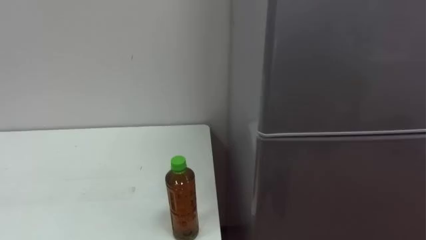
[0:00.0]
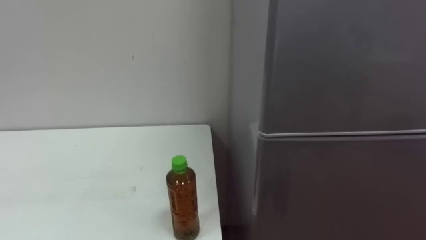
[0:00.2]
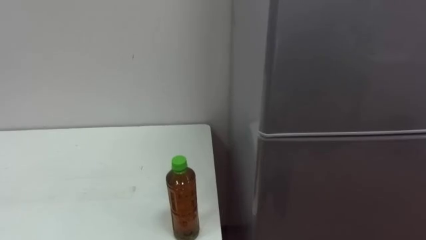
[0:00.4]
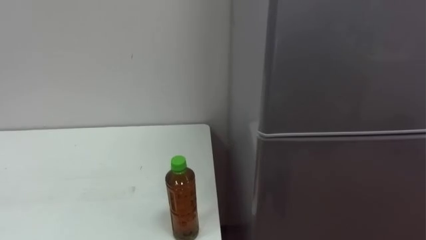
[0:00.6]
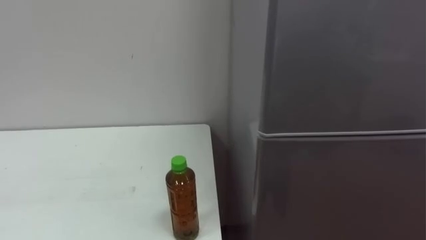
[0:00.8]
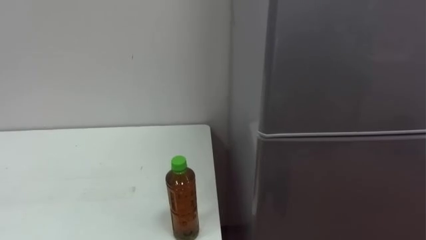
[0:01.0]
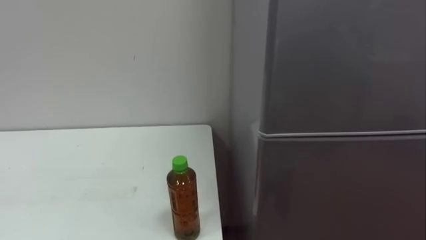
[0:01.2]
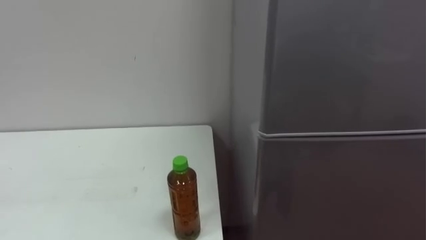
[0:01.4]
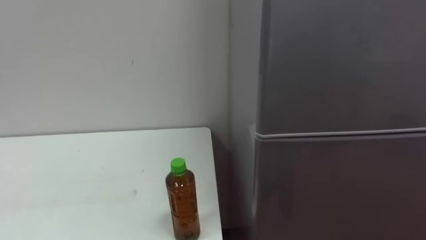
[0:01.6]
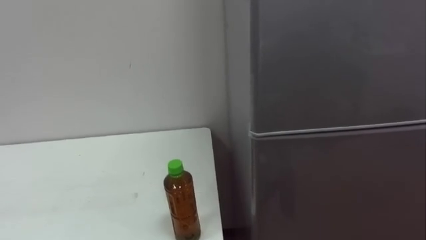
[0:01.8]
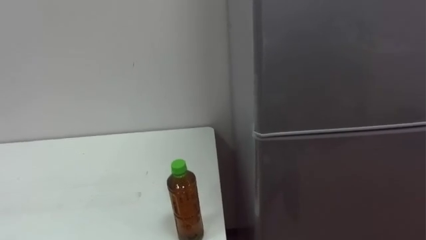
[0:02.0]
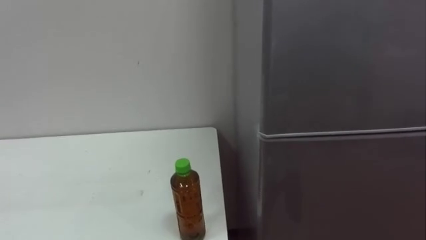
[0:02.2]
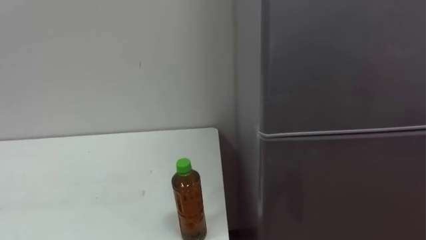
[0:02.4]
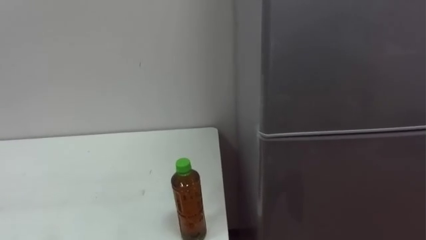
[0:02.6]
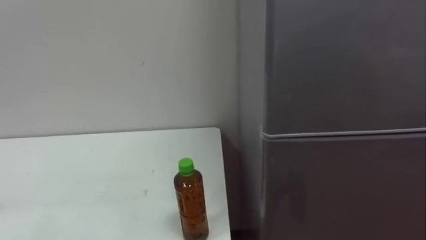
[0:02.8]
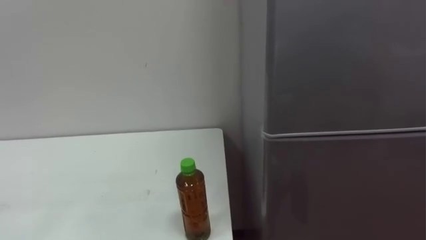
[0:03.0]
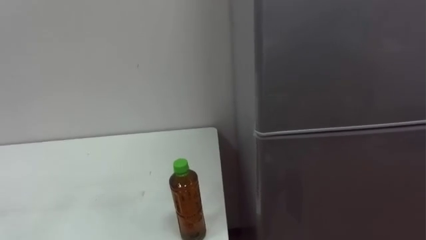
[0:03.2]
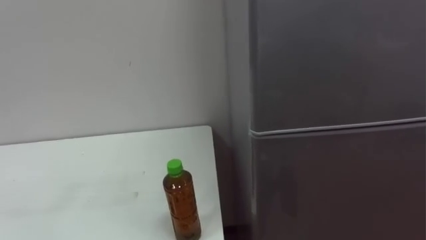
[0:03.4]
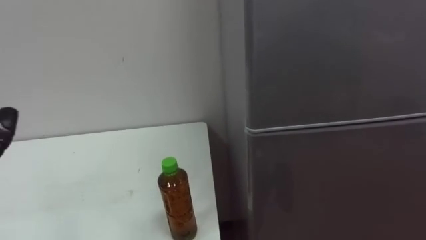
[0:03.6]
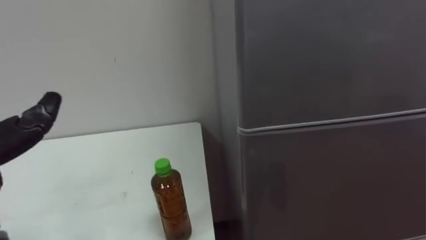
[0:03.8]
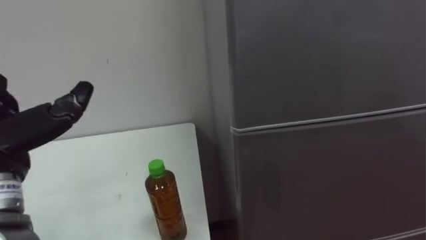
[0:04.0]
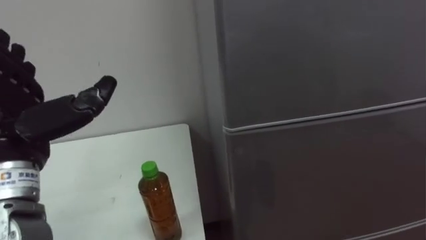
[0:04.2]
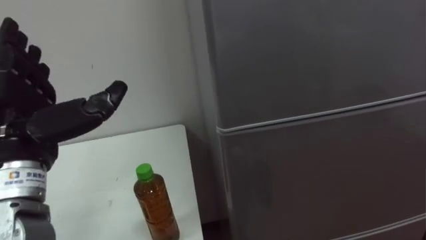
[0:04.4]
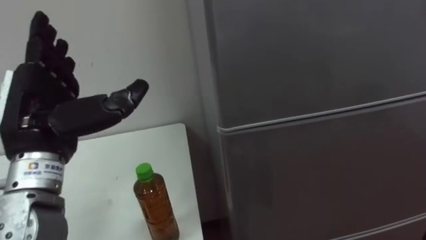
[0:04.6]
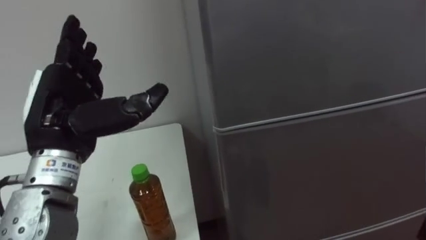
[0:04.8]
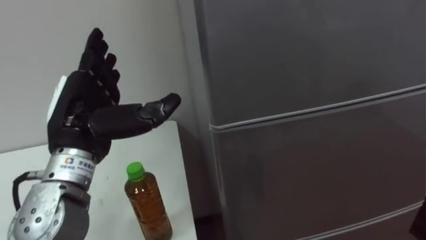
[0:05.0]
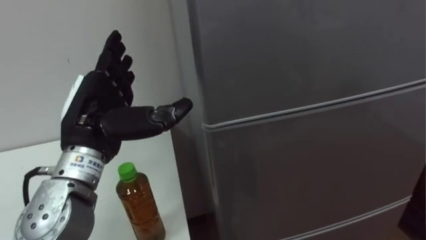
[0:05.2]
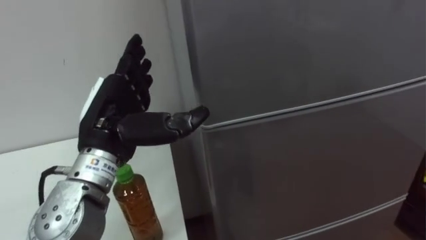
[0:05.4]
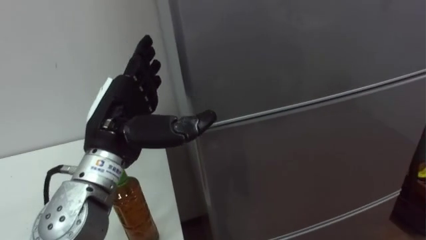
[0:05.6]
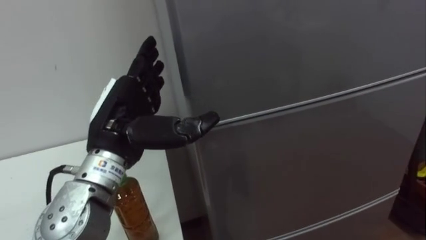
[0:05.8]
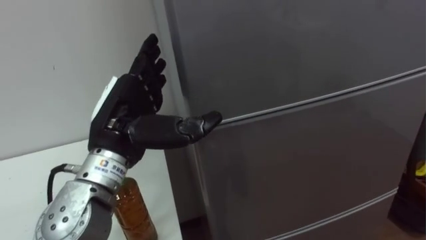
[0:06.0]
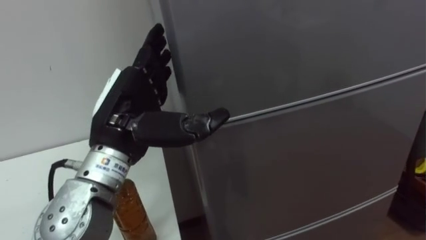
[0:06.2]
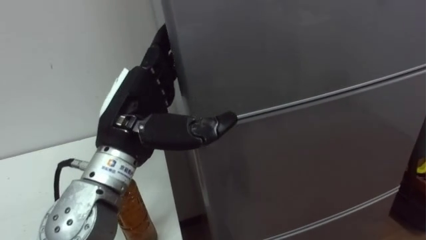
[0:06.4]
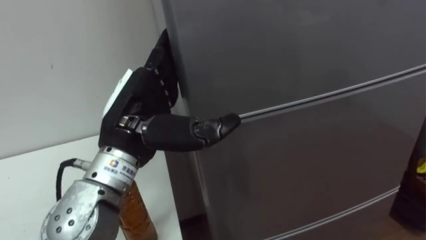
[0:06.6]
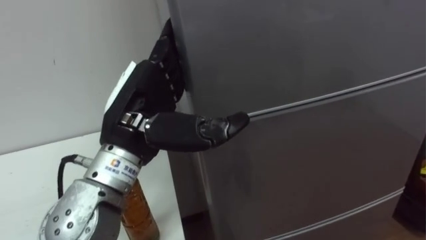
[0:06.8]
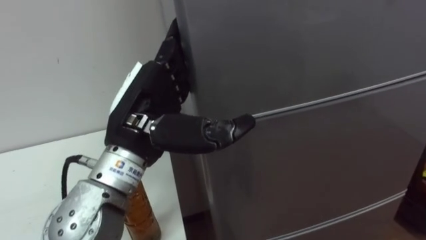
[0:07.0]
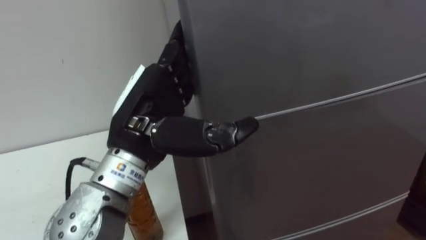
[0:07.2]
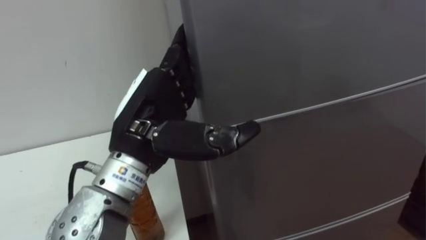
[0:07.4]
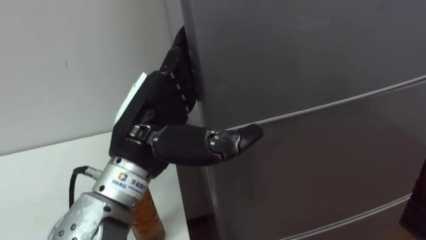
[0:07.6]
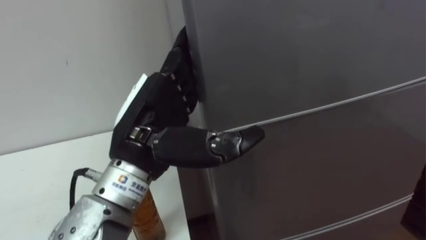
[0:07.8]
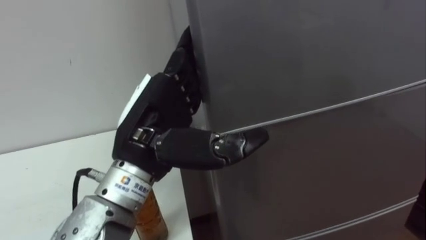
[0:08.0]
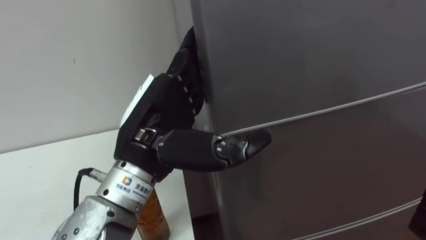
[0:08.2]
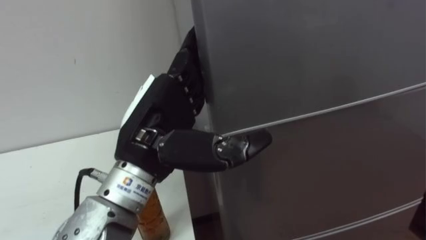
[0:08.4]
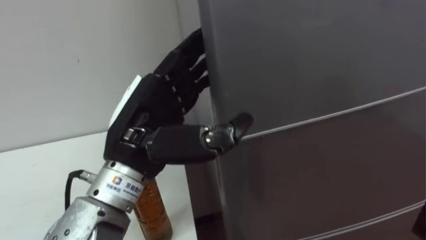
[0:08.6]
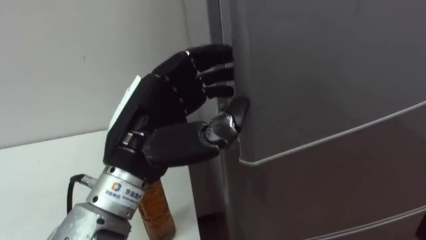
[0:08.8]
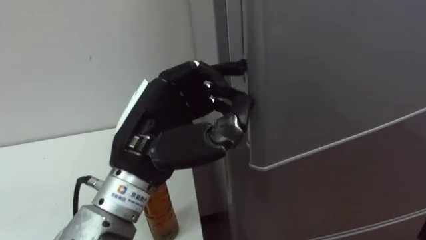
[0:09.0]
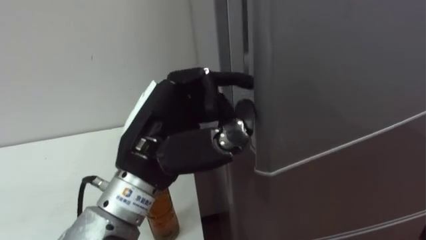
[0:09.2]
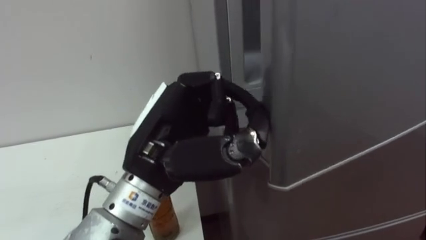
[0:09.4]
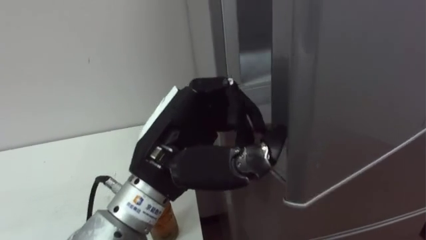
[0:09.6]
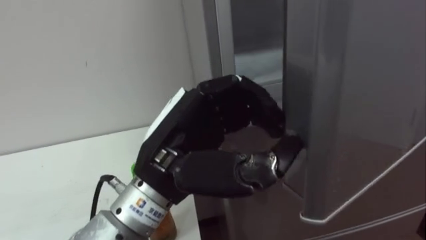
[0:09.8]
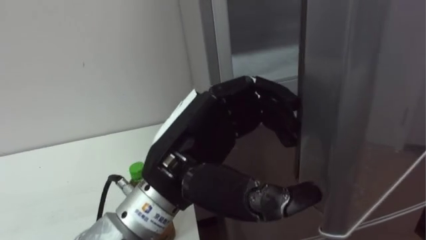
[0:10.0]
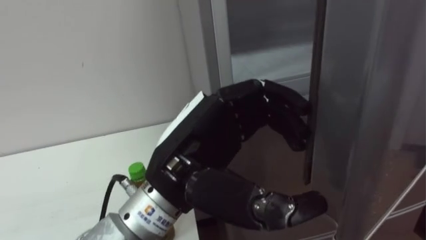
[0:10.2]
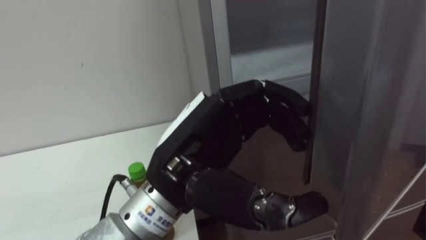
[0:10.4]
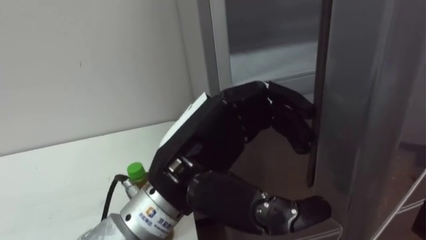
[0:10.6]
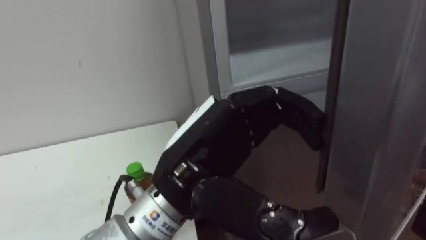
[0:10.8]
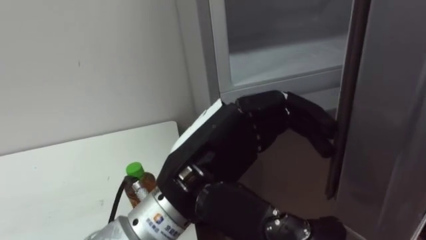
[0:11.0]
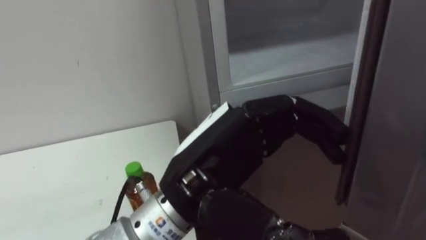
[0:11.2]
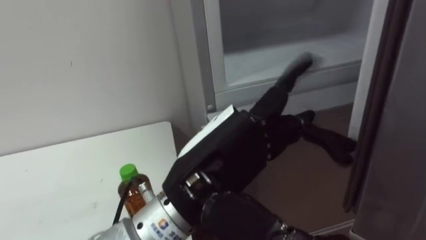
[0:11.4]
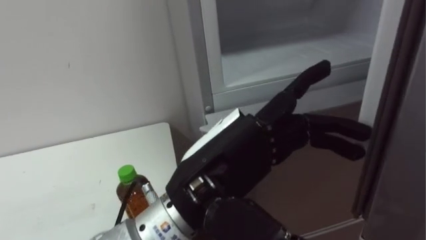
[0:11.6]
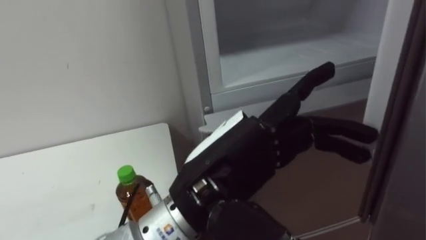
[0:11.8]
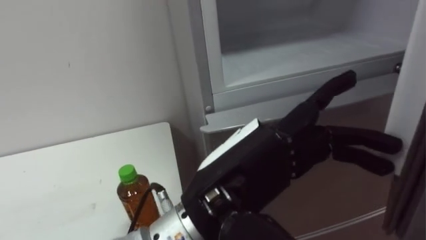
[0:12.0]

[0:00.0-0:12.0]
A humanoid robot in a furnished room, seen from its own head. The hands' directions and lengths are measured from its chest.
Task of the whole recording: Open the upper refrigerator door, put the drink from the table into the refrigerator, and then close the refrigerator door.
0:04.4 to 0:06.0: The left hand goes some 10 cm to the right.
0:06.0 to 0:07.6: The left hand changes place by roughly 5 cm.
0:07.6 to 0:09.0: The left hand closes up.
0:09.0 to 0:10.4: The left hand moves about 5 cm, and opens up.
0:10.4 to 0:12.0: The left hand moves about 5 cm.

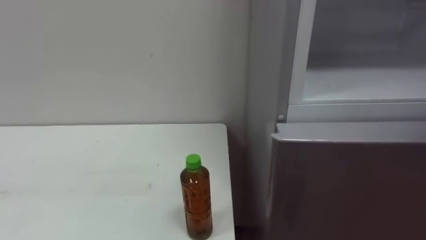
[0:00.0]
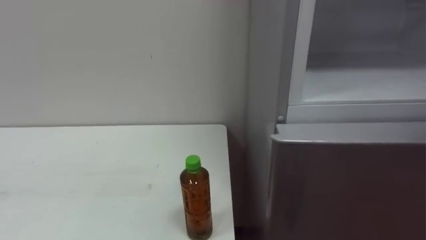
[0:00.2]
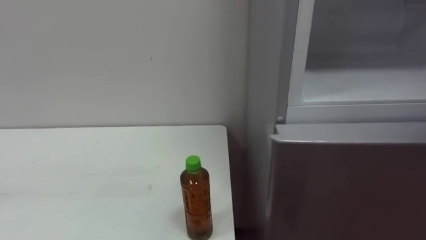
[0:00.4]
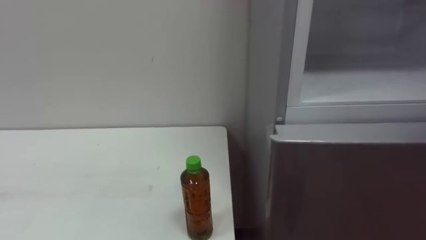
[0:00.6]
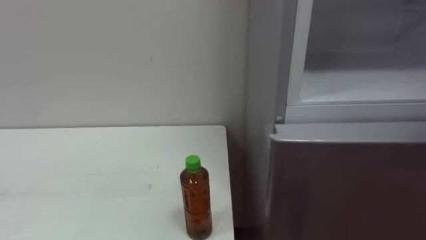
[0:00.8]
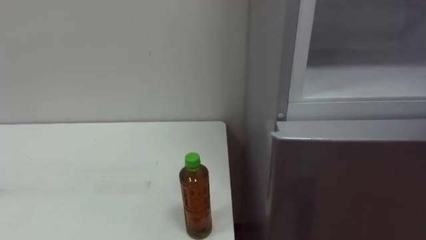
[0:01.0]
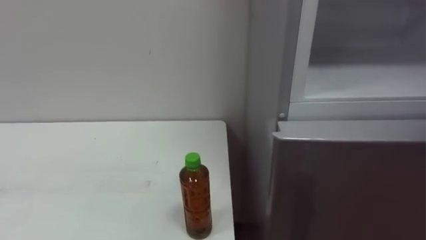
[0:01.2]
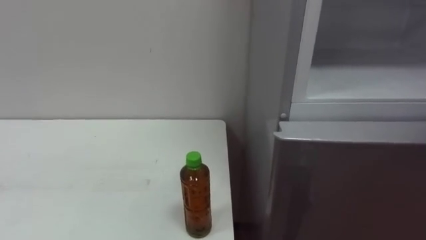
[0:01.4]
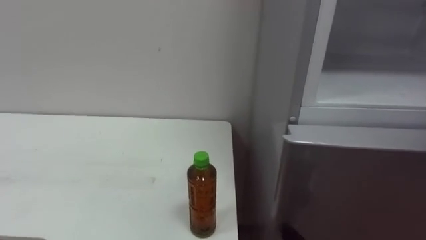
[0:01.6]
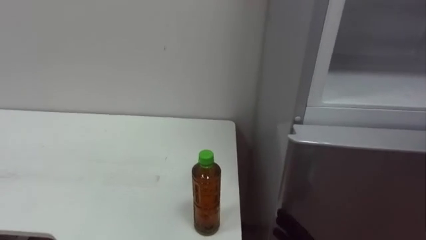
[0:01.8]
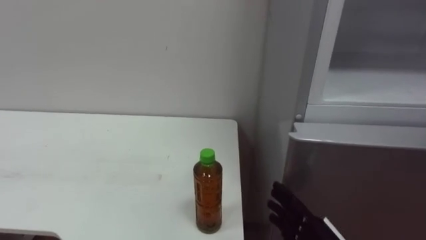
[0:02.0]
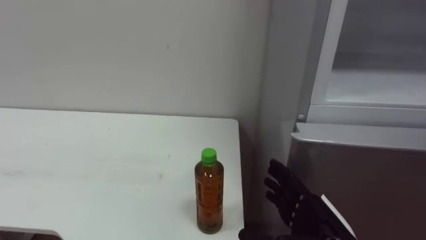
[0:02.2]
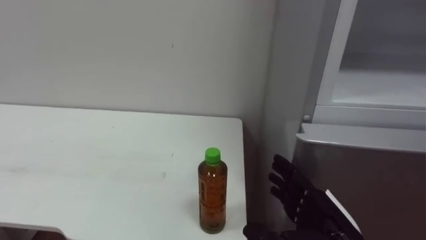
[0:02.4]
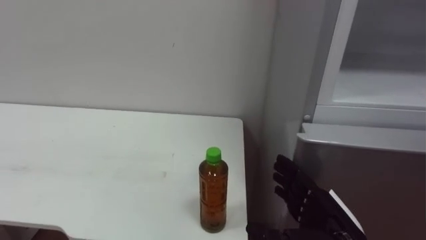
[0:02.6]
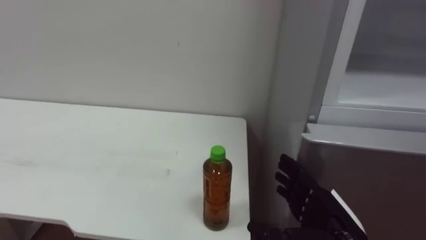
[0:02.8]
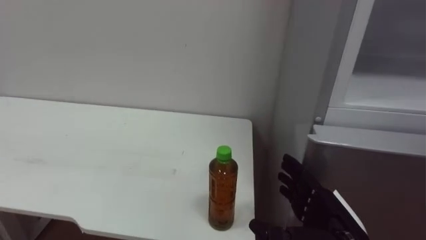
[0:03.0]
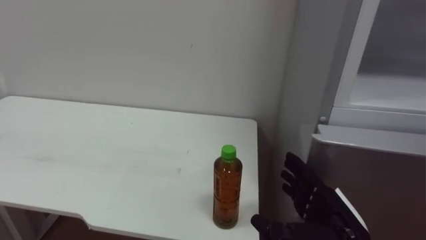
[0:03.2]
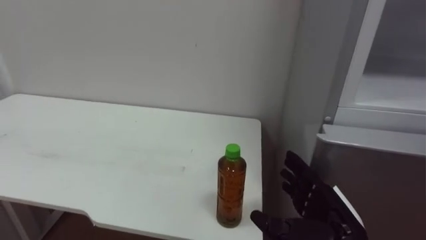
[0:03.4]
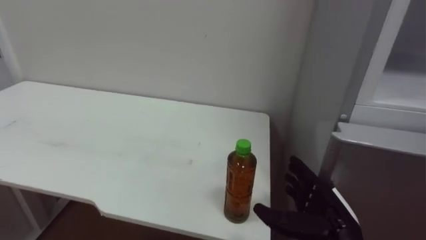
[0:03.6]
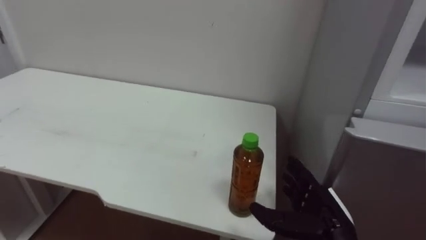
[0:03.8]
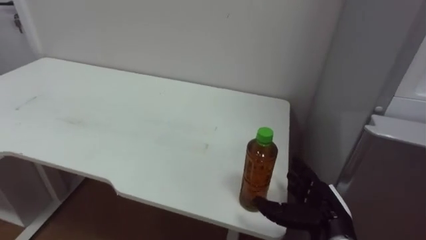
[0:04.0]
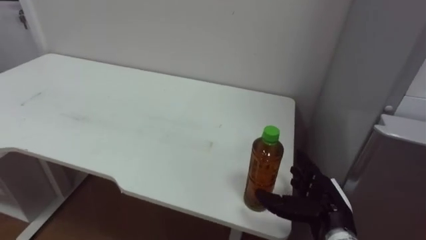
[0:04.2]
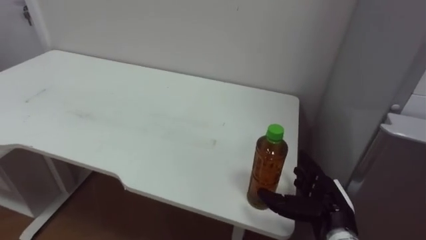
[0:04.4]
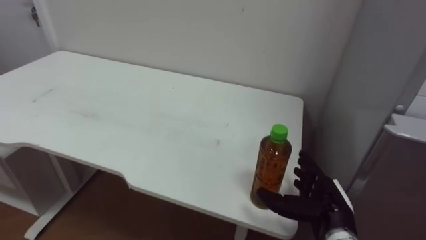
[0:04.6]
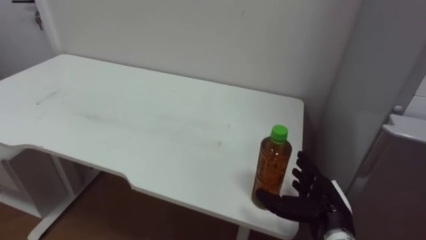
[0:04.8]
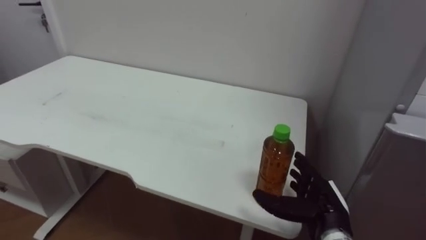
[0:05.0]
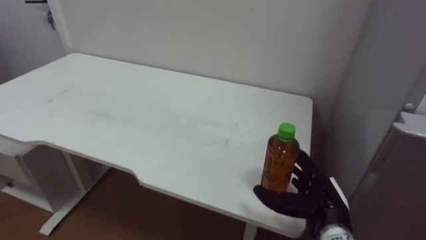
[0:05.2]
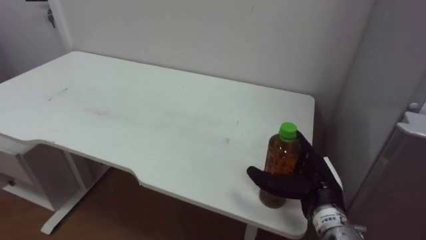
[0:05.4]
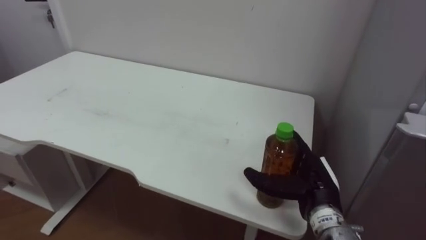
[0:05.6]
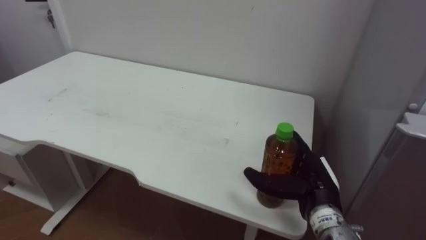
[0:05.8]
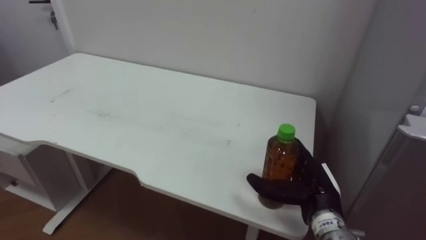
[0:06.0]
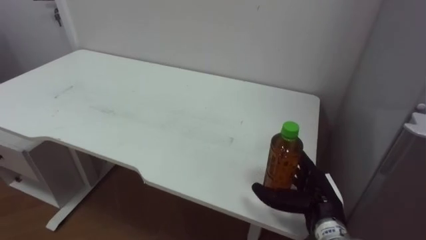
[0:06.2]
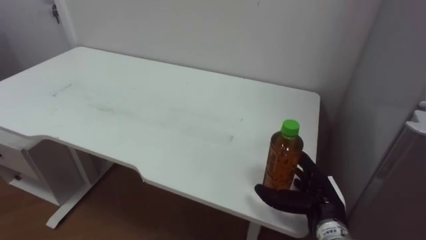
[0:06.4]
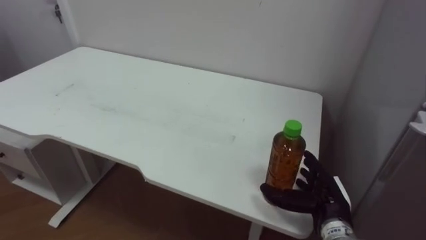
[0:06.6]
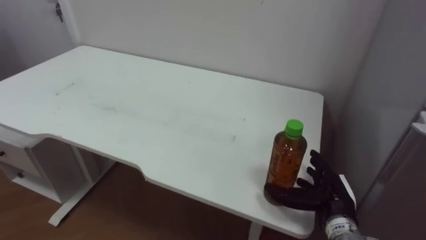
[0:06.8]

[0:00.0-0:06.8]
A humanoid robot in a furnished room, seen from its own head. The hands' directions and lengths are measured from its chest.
Task of the whole recording: Open the upper refrigerator door, put the drink from the table into the refrigerator, and then close the refrigerator door.
0:02.8 to 0:04.0: The right hand shifts approximately 5 cm forward.
0:04.0 to 0:05.4: The right hand changes place by about 5 cm.
0:05.4 to 0:06.8: The right hand shifts by roughly 5 cm.
